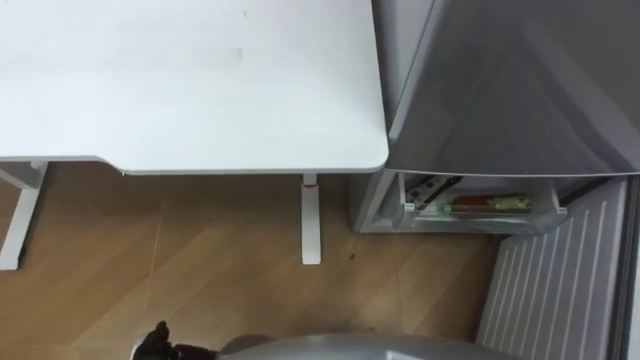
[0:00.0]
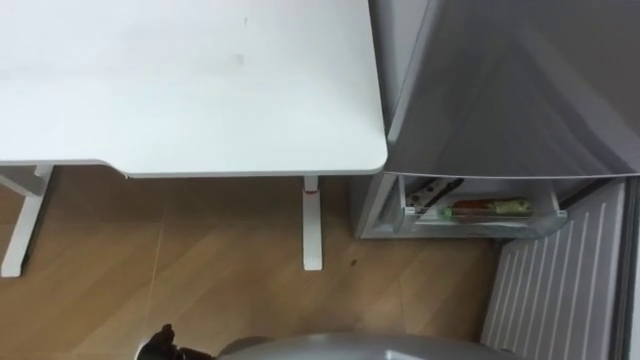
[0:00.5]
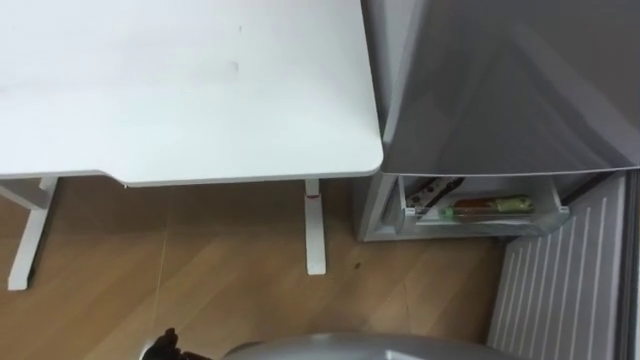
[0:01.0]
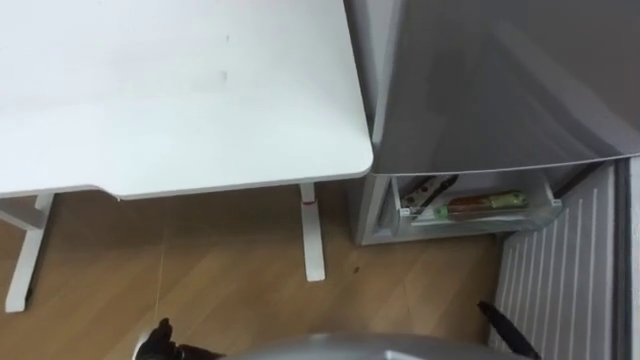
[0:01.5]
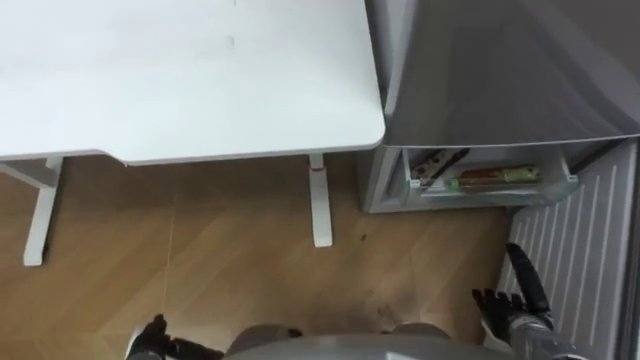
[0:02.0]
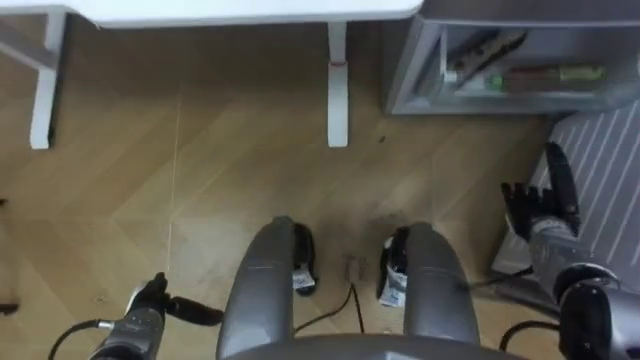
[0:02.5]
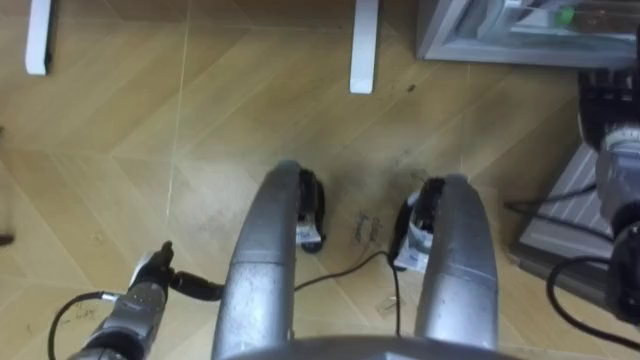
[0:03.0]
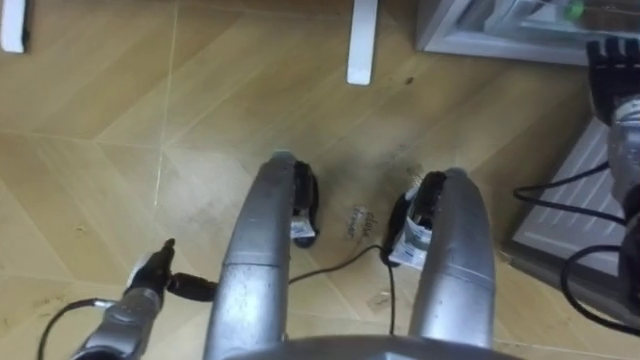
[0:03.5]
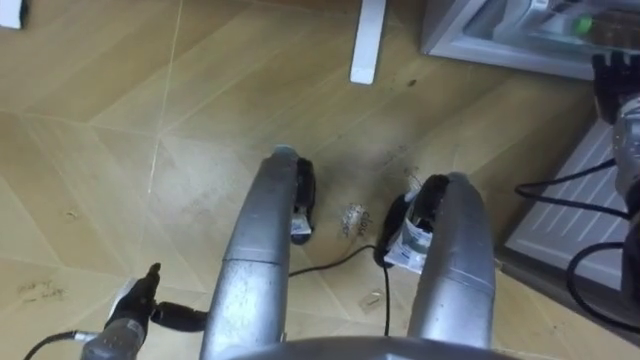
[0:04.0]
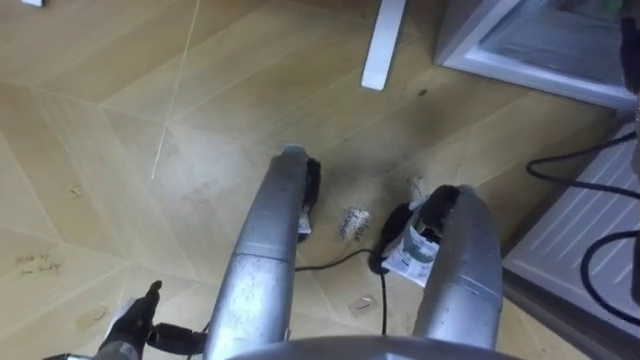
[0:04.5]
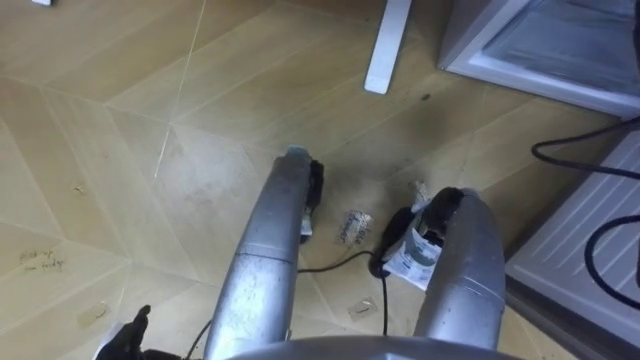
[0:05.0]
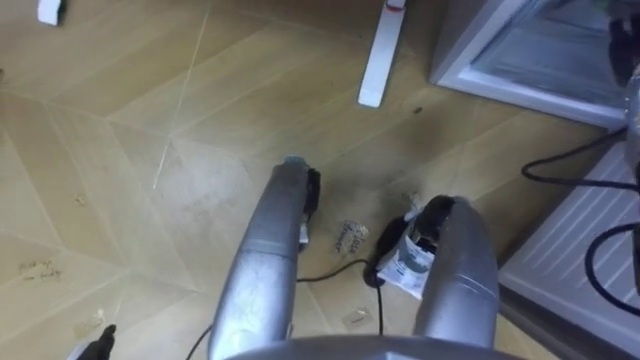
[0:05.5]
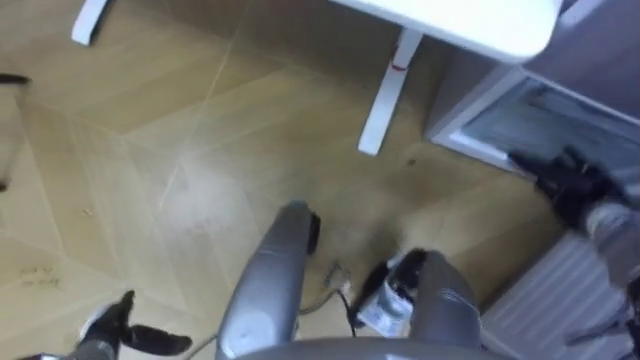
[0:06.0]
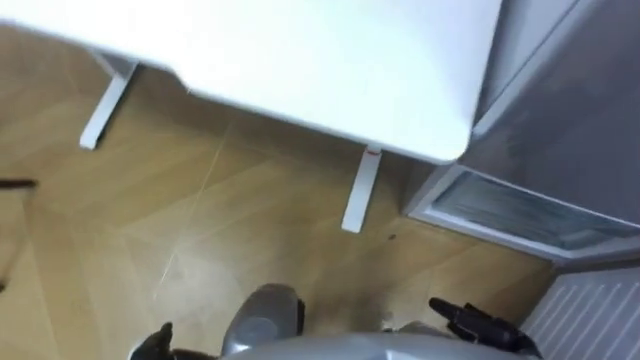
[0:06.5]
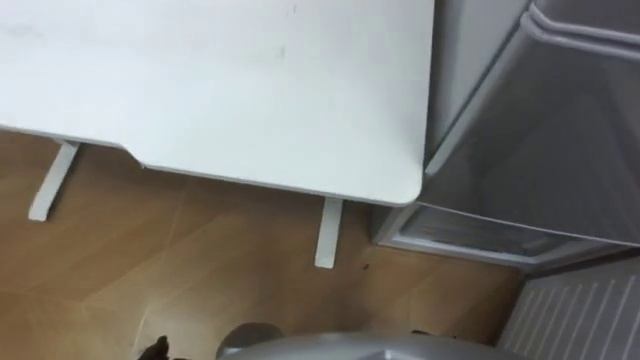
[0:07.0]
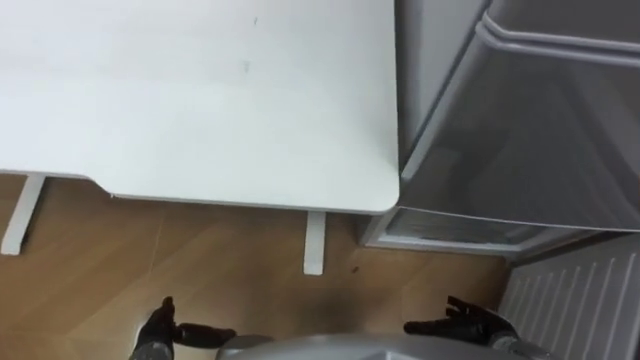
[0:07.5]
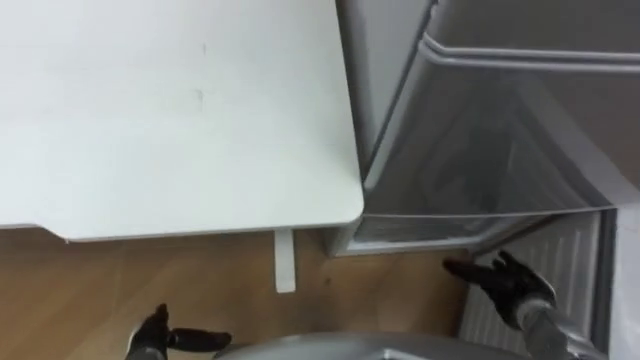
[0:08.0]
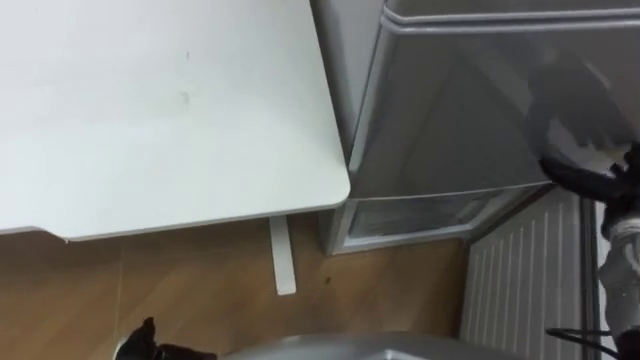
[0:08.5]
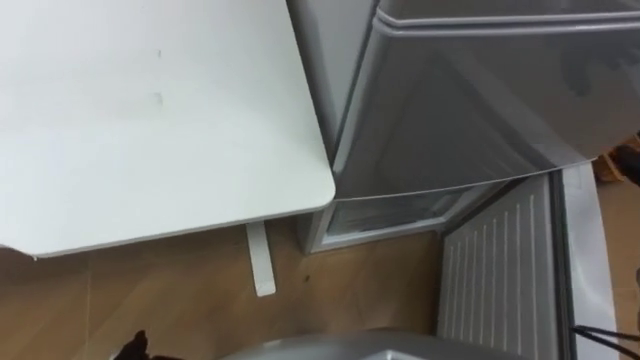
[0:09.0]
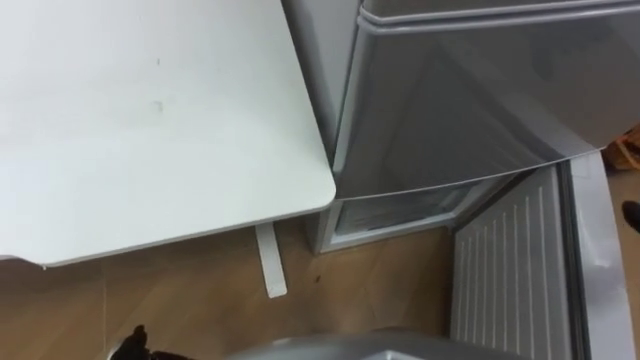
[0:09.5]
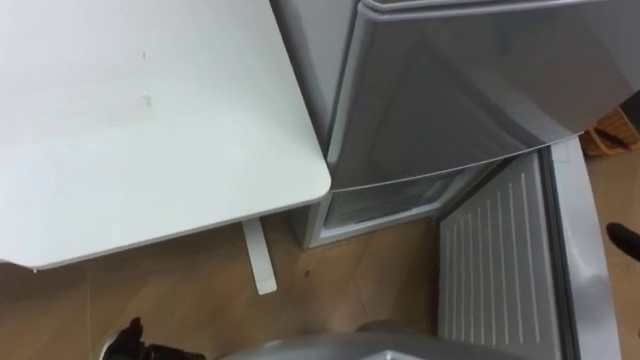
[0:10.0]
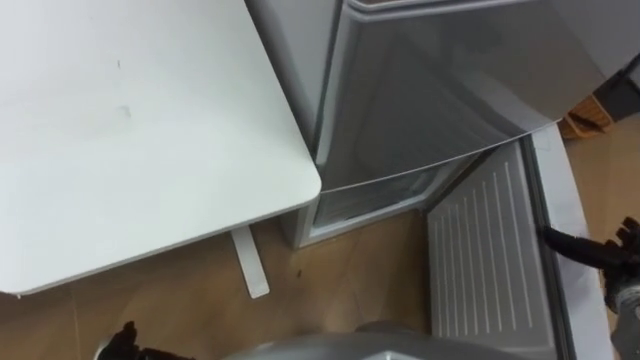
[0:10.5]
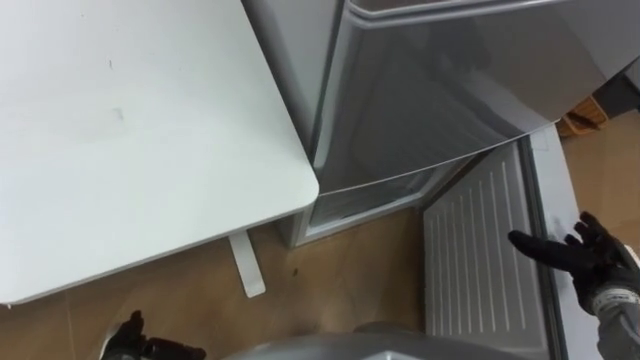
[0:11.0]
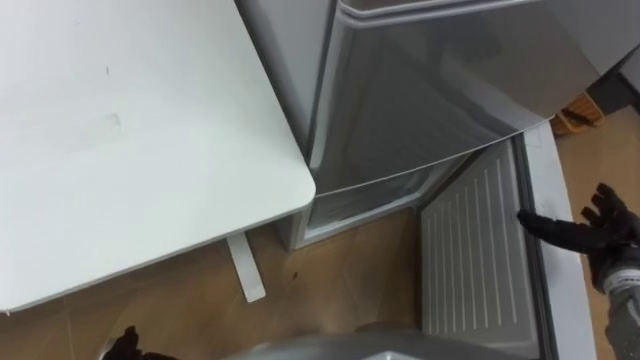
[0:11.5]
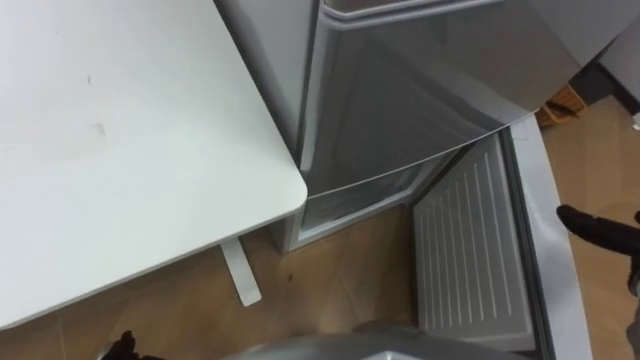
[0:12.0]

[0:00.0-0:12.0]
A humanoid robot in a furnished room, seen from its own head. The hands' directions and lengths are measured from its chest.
Task of the whole recording: Place the drink on the table on the bottom shelf of the refrigerator, then close the drawer and the refrigerator door.
0:02.0 to 0:04.0: The left hand heads forward, covering roughly 5 cm. Meanwhile the right hand heads forward and upward, covering about 35 cm.

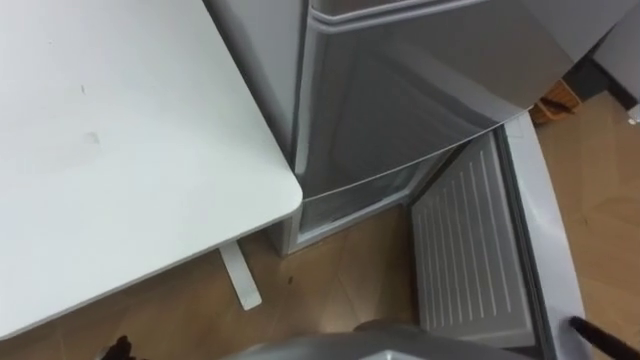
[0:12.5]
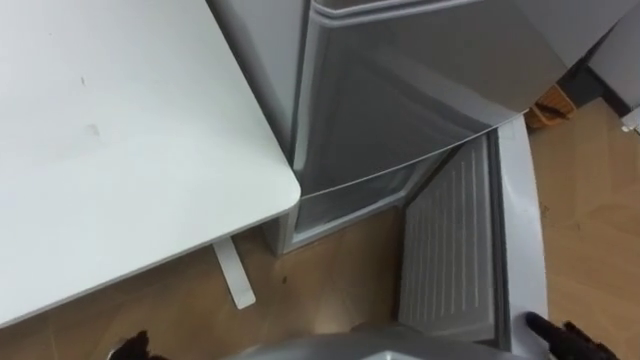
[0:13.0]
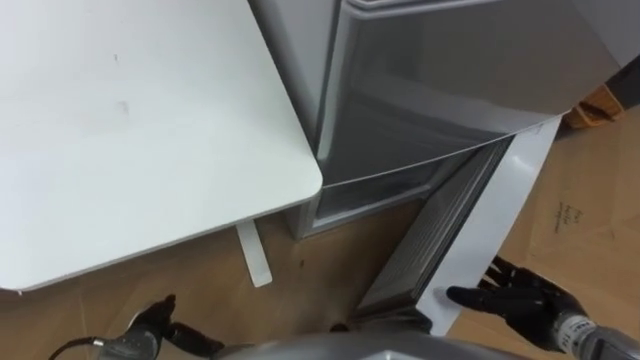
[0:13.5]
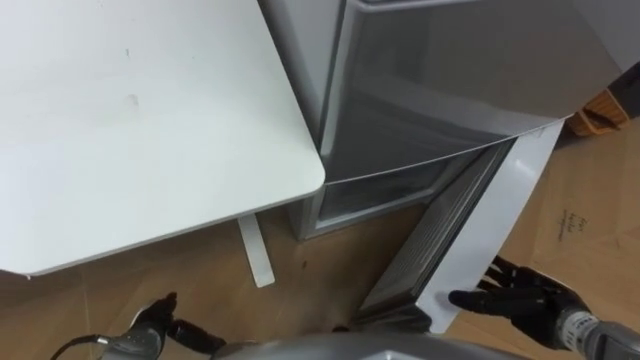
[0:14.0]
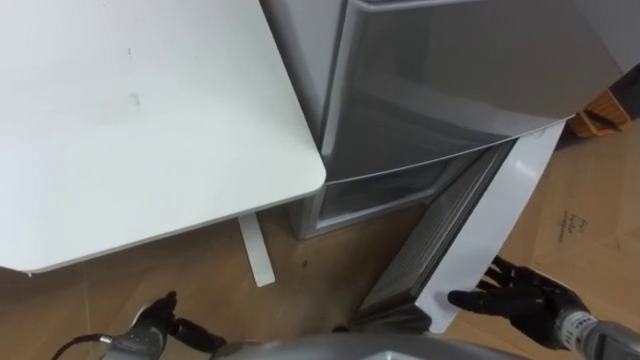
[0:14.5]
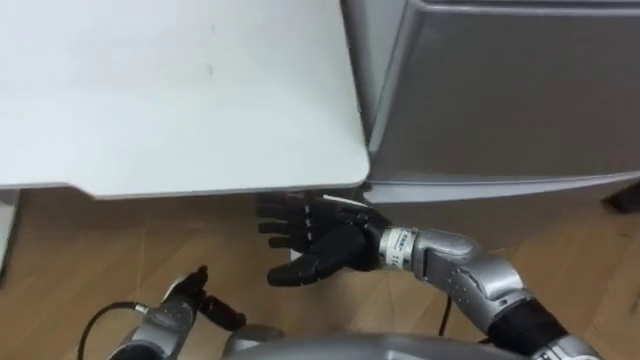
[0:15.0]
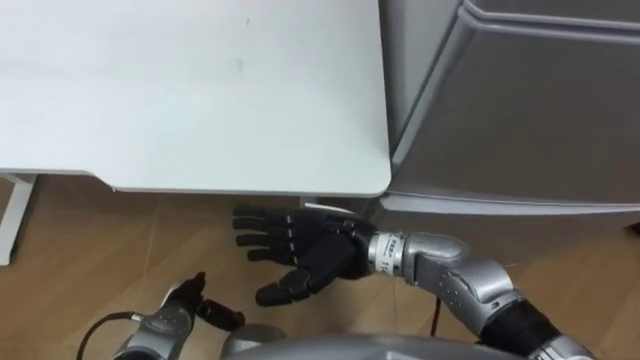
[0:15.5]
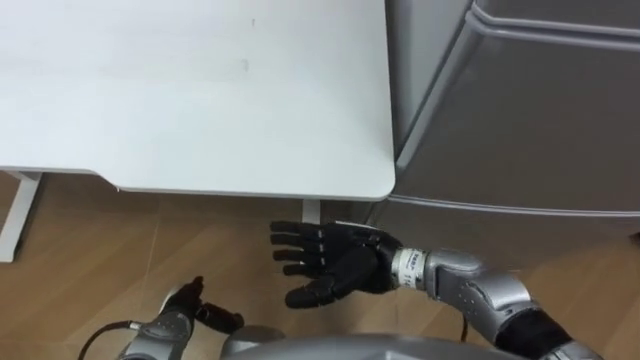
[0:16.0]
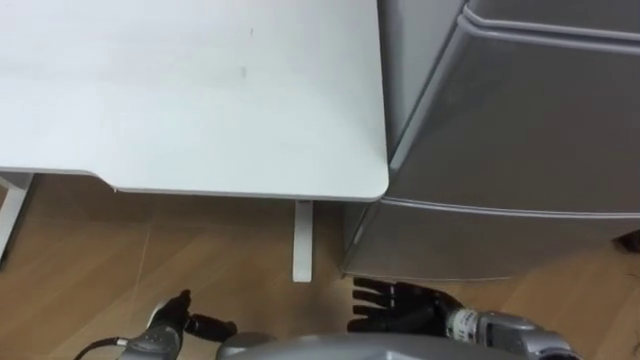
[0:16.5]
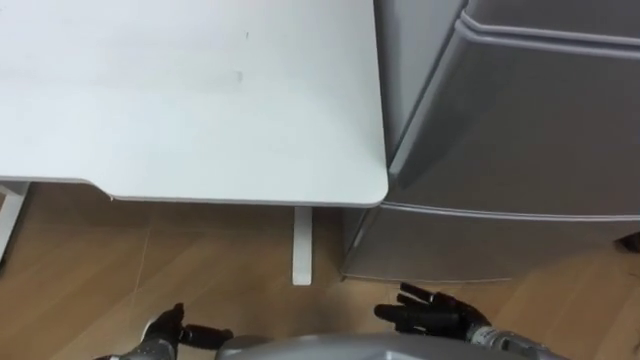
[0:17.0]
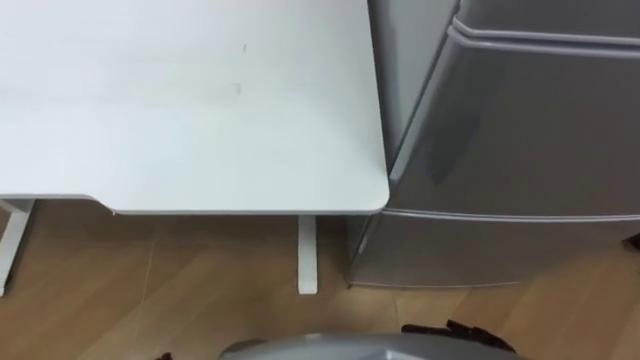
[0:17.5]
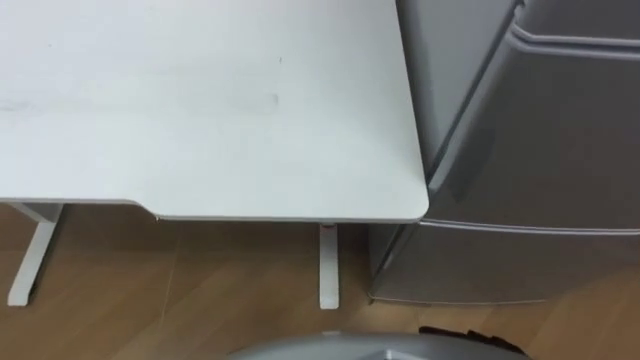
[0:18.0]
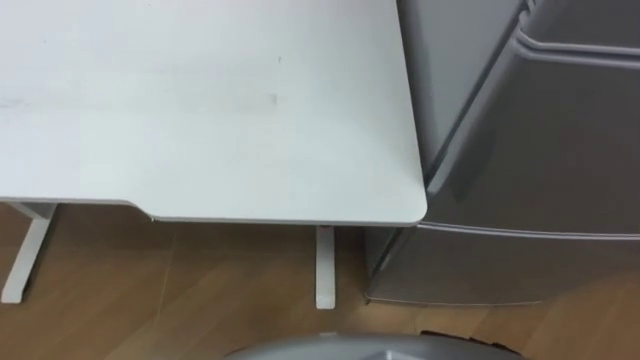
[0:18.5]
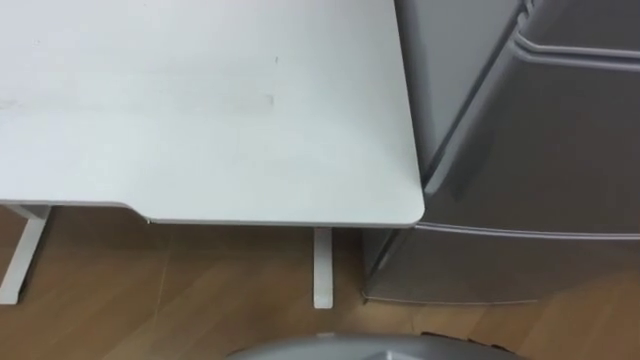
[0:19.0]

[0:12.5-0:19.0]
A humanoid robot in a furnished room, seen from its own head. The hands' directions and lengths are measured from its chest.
Task of the whole recording: Place the drink on the table on the bottom shelf of the refrigerator, then close the drawer and the refrigerator door.
0:14.5 to 0:17.0: The right hand shifts approximately 10 cm to the left and downward.

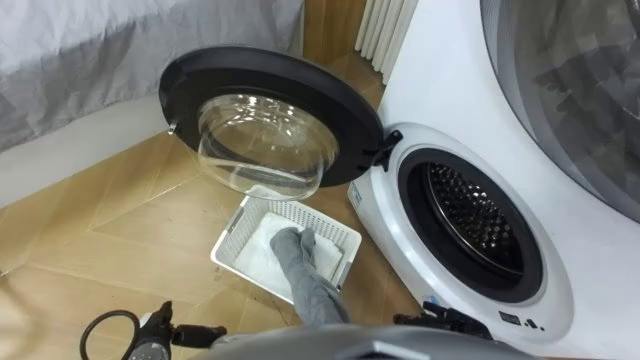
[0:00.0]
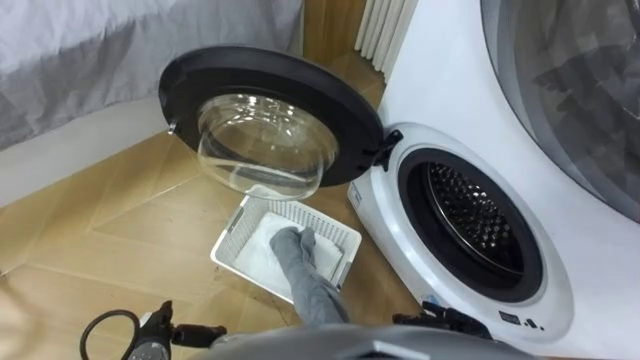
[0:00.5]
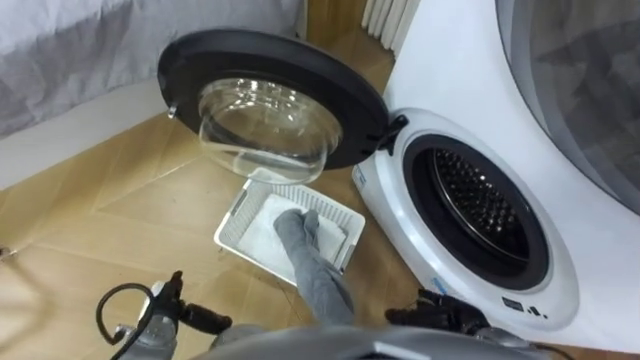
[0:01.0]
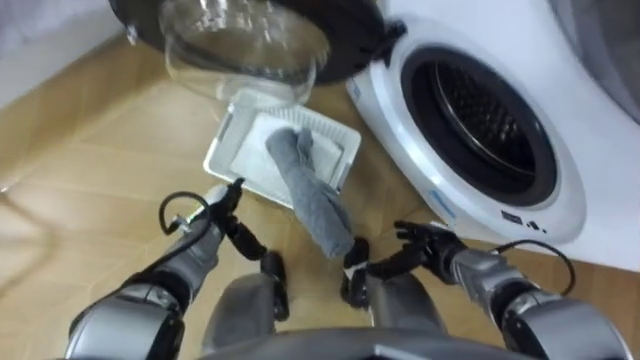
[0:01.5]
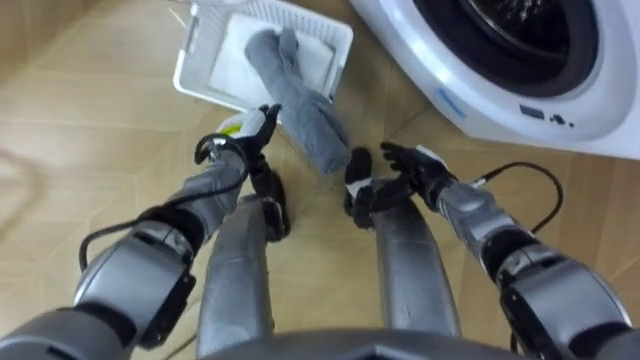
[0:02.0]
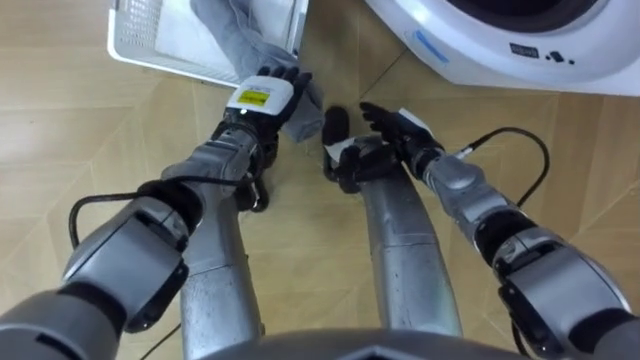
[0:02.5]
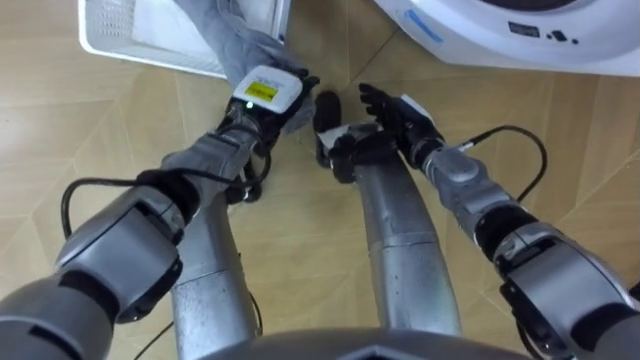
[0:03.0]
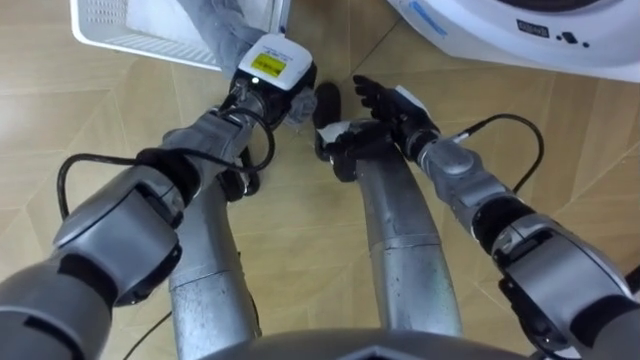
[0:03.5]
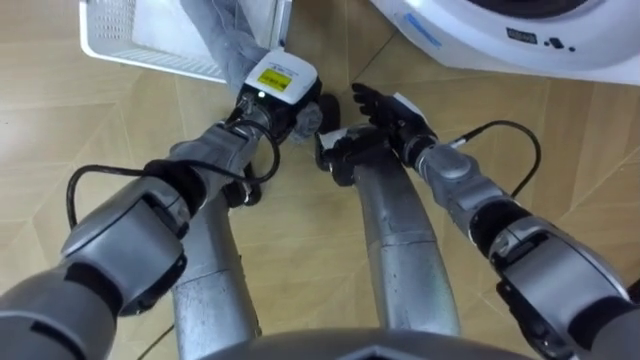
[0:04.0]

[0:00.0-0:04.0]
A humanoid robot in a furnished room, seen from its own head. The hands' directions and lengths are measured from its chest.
Task of the whole recording: Take the towel from the basket and put it into the washing machine.
0:02.0 to 0:04.0: The left hand travels upward and to the right by about 10 cm, and closes. Meanwhile the right hand shifts approximately 10 cm upward and forward.
